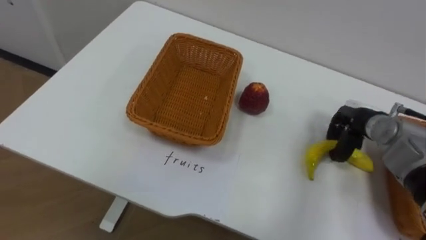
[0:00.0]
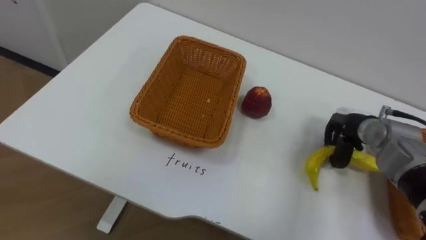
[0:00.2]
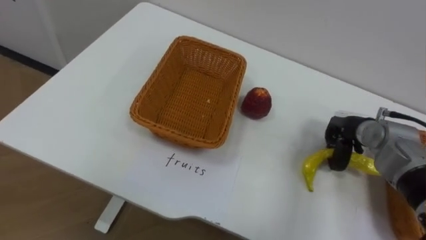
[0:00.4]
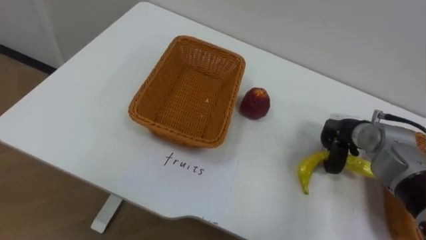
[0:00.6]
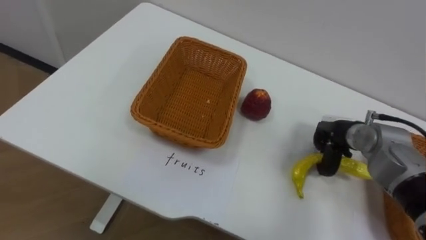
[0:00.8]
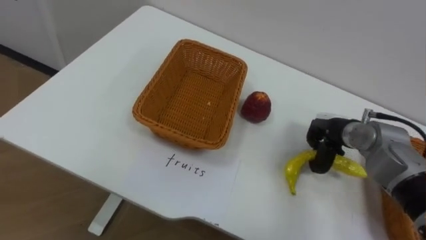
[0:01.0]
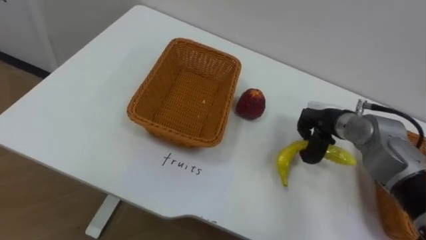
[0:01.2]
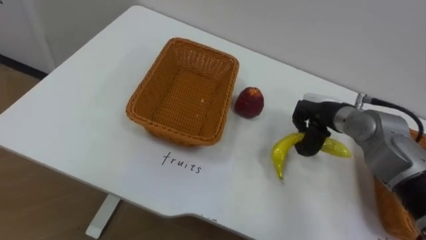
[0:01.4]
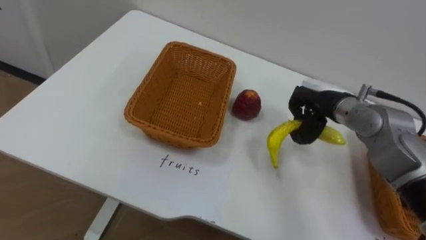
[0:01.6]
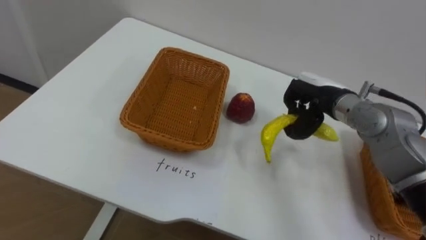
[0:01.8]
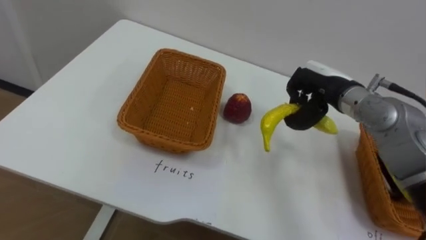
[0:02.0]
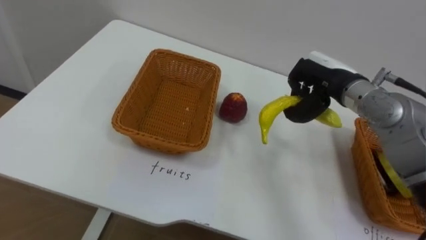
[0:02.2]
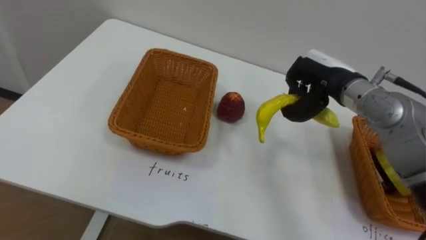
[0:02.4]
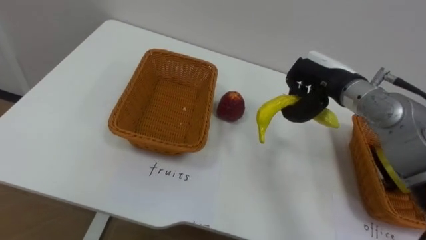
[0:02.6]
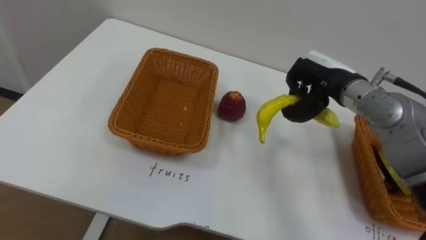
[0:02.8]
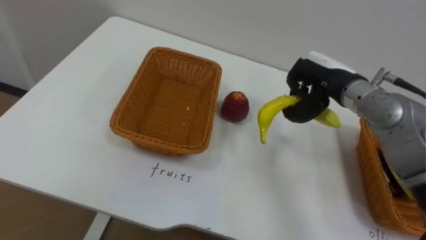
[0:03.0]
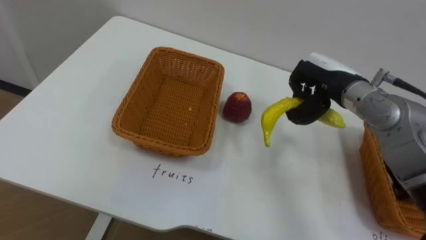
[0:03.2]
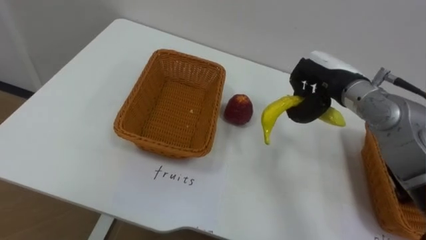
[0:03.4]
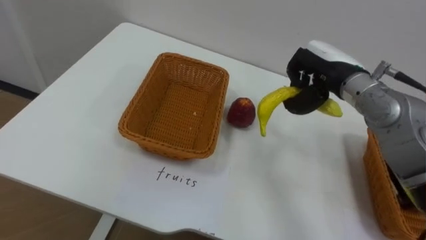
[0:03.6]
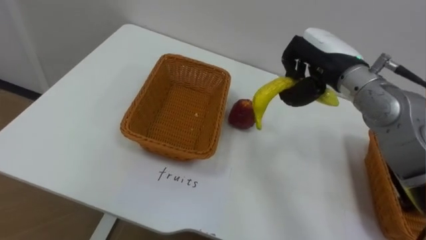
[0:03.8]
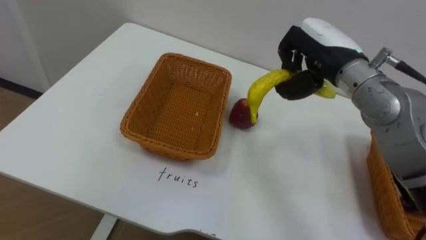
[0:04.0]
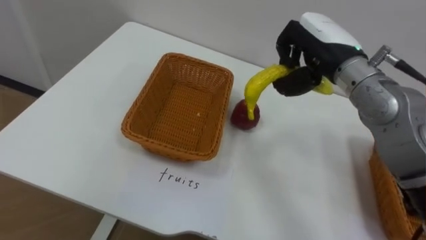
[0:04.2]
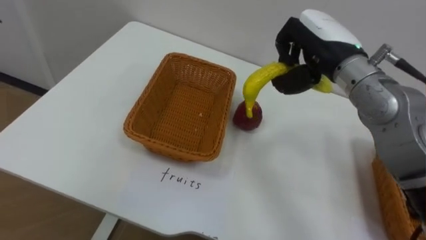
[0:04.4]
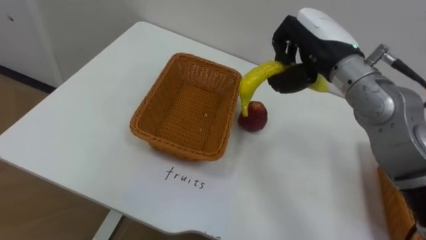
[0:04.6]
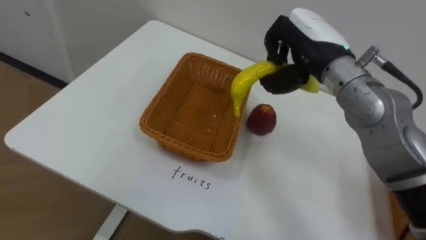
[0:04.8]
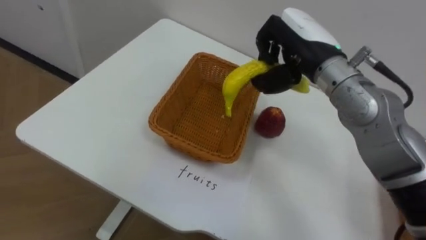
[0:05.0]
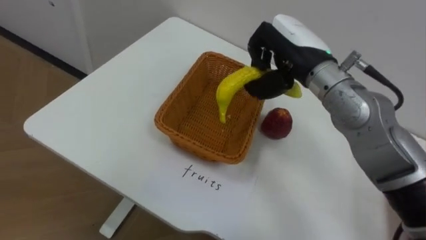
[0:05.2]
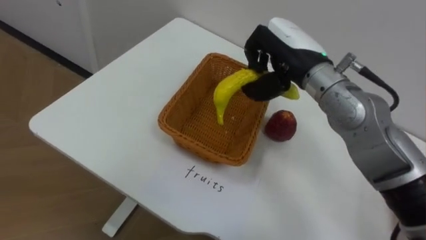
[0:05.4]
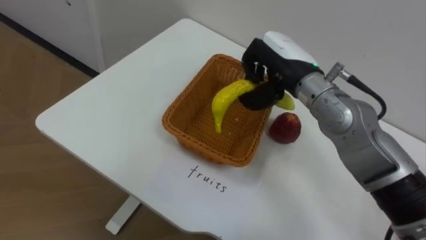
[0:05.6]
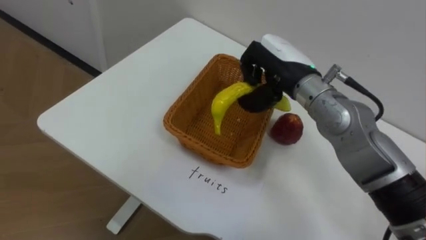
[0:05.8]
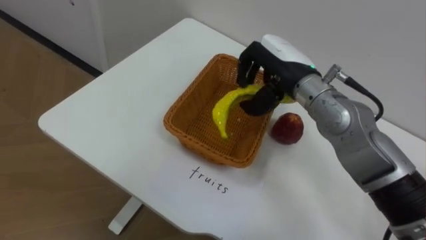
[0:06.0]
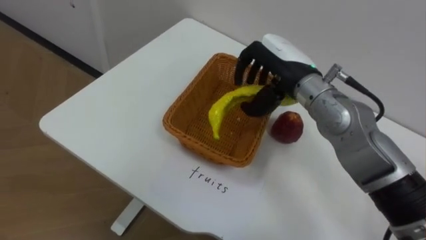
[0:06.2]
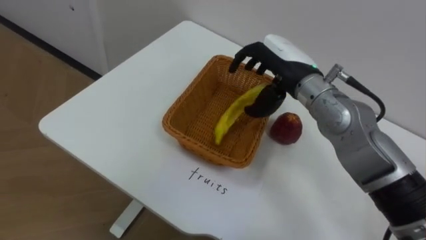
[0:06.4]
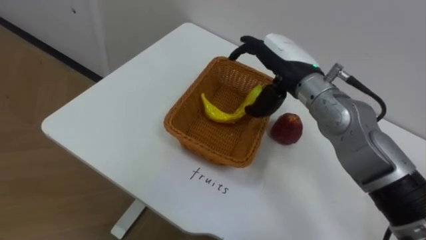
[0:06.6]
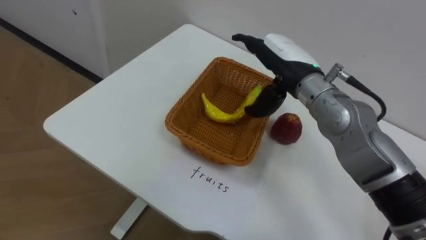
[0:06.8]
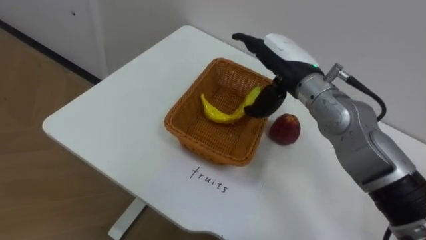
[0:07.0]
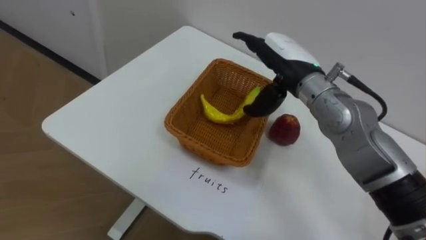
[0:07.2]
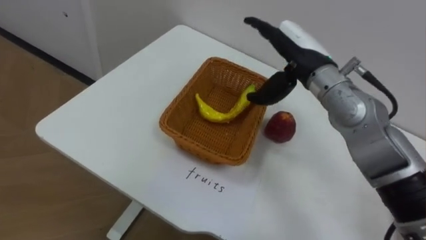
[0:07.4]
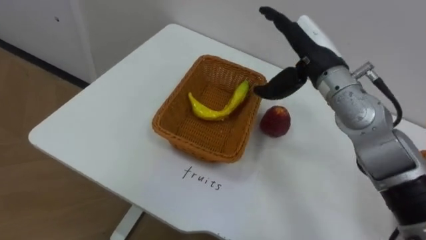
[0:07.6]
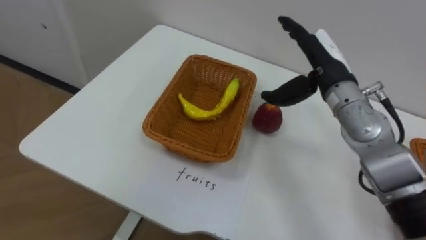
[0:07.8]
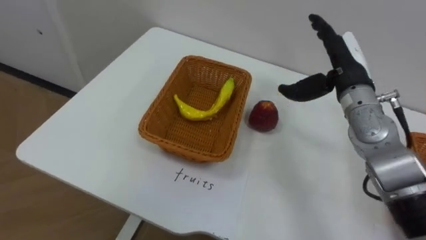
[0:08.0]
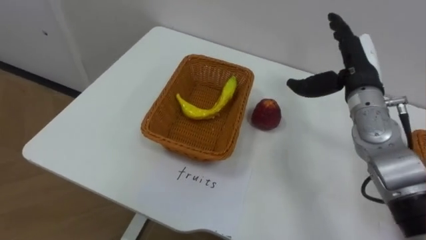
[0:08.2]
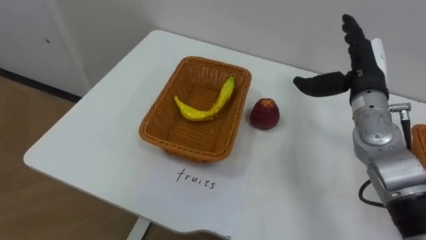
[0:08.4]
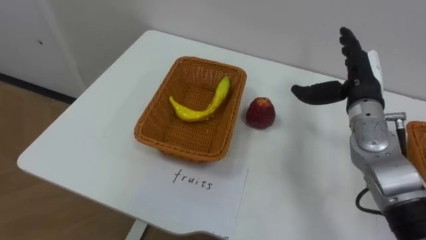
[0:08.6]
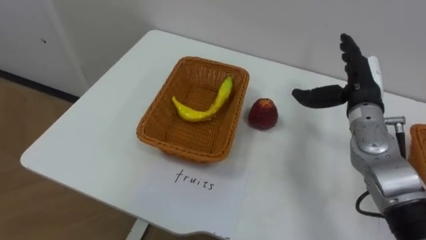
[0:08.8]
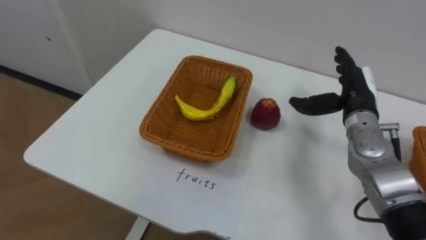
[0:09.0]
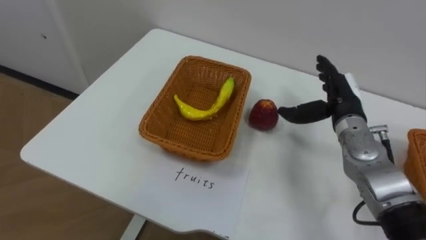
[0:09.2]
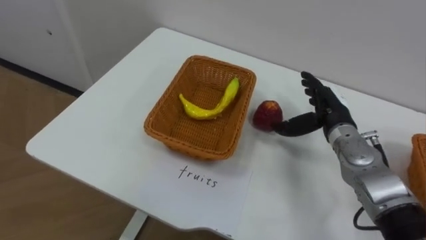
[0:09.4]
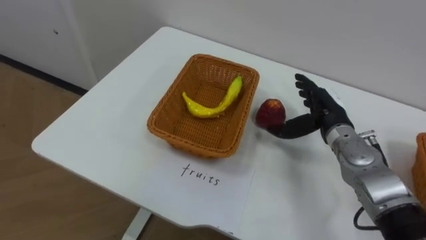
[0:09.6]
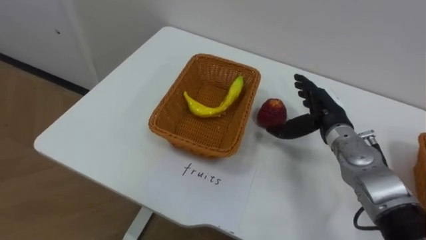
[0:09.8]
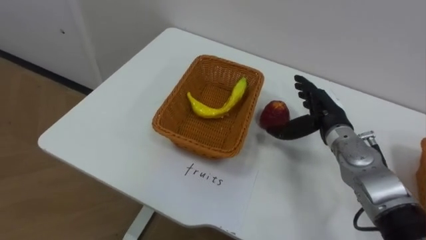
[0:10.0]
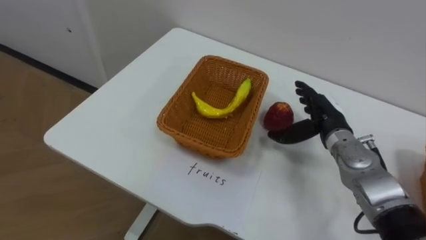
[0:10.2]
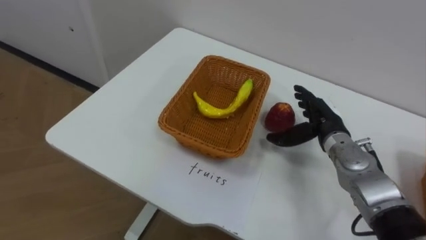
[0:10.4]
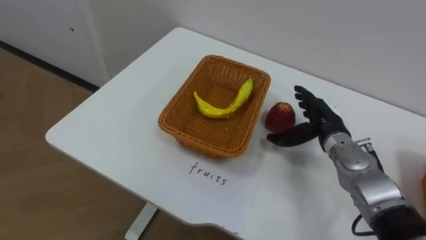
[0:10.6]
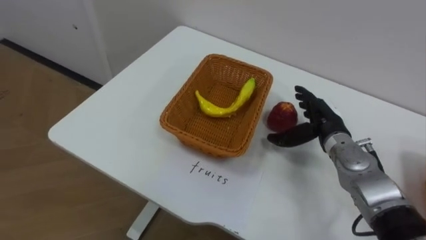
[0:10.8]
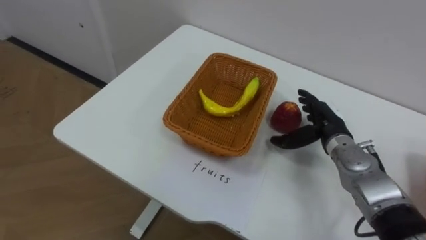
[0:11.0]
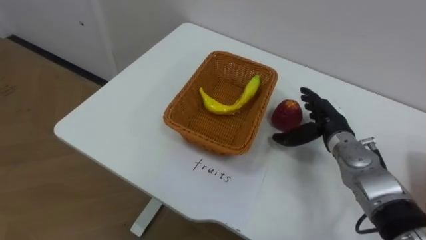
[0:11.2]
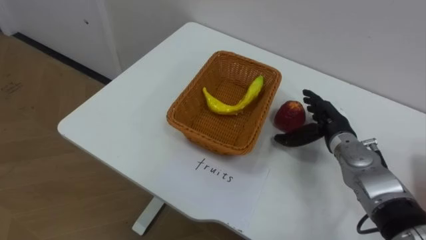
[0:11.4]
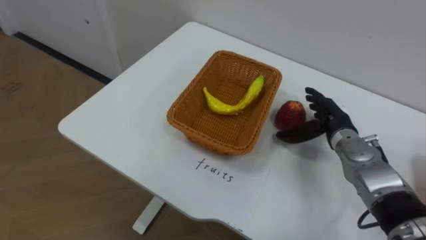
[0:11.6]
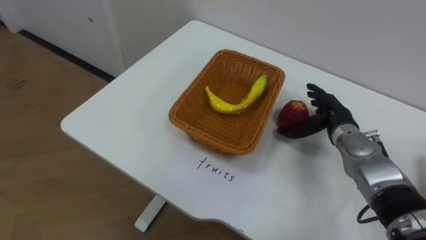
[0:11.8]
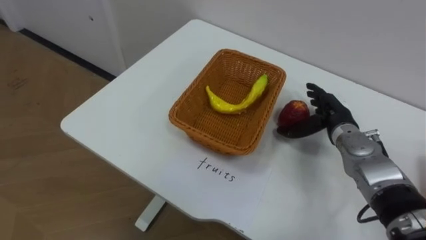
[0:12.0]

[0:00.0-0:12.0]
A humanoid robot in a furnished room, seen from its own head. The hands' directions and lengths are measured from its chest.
Task of the whole recording: Separate the items on the table and place them into the two baskets.
0:00.0 to 0:01.6: The right hand moves to the left and upward, roughly 10 cm.
0:01.6 to 0:03.0: The right hand goes approximately 5 cm upward.
0:03.0 to 0:04.4: The right hand heads upward, covering roughly 5 cm.
0:04.4 to 0:06.0: The right hand is displaced to the left by roughly 5 cm.
0:06.0 to 0:07.6: The right hand opens up.
0:07.6 to 0:09.0: The right hand is displaced to the right and downward by roughly 15 cm.
0:09.0 to 0:10.4: The right hand moves downward, about 5 cm.

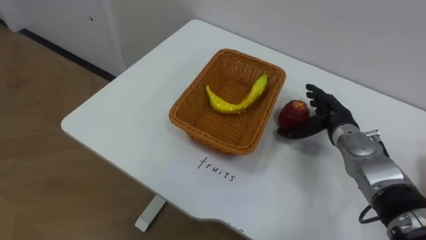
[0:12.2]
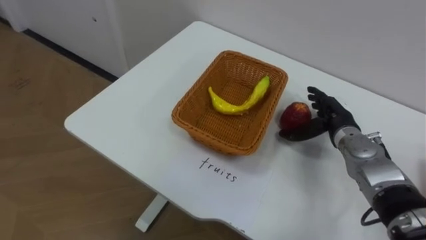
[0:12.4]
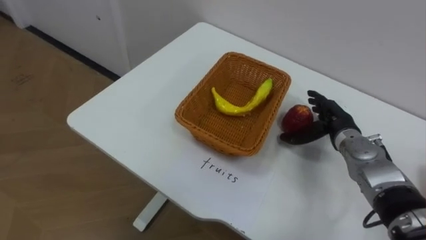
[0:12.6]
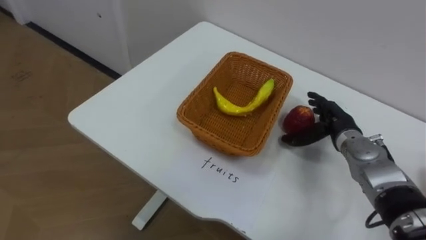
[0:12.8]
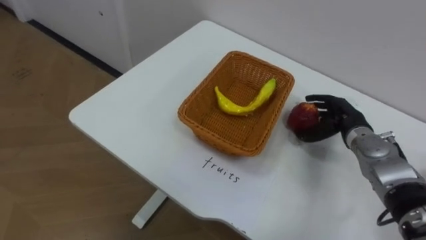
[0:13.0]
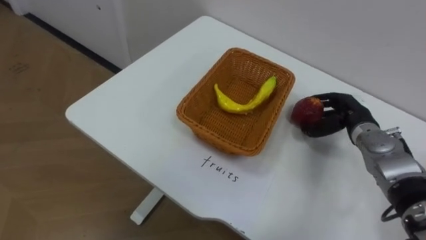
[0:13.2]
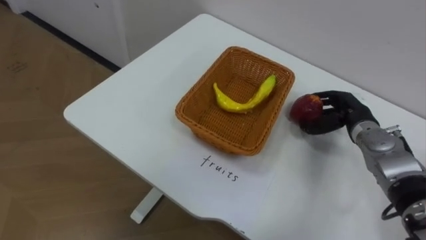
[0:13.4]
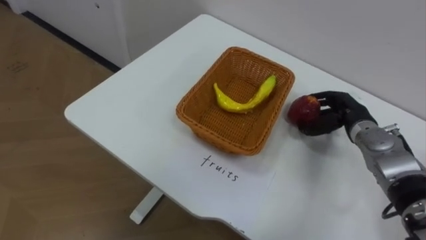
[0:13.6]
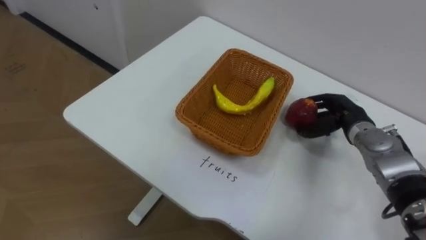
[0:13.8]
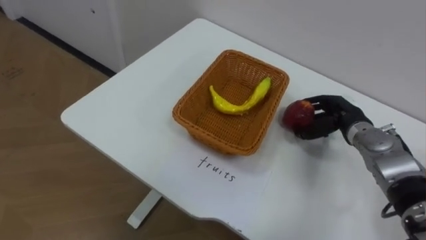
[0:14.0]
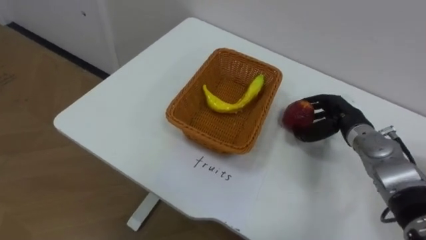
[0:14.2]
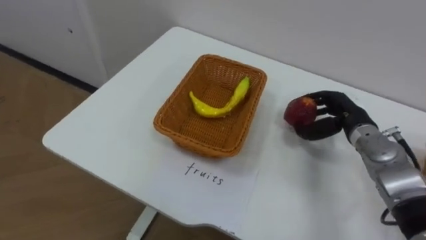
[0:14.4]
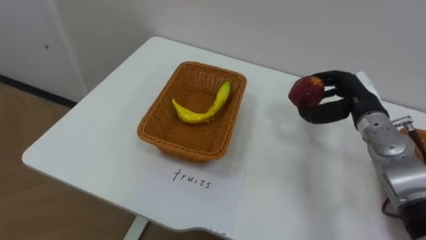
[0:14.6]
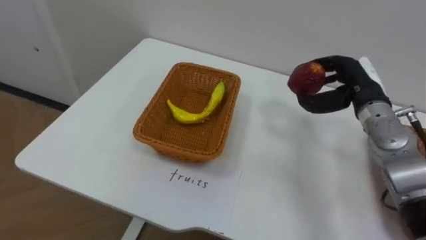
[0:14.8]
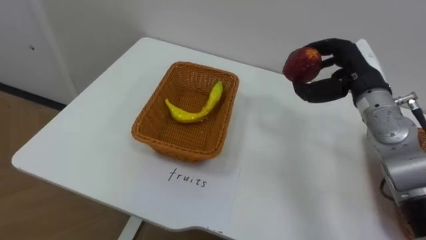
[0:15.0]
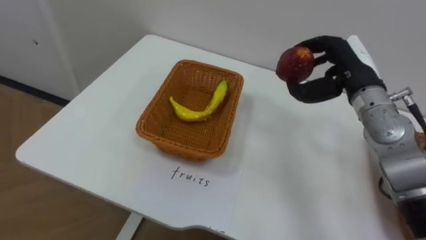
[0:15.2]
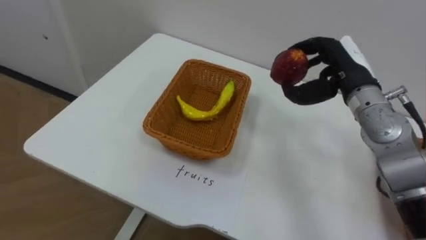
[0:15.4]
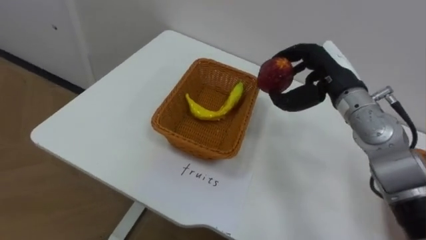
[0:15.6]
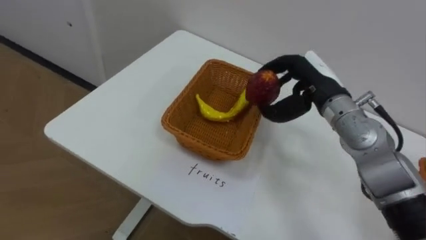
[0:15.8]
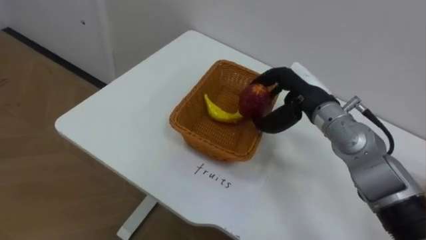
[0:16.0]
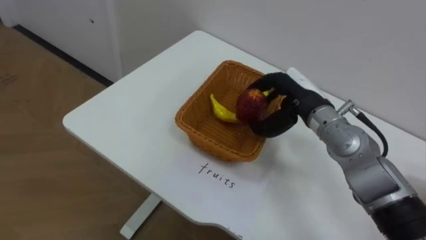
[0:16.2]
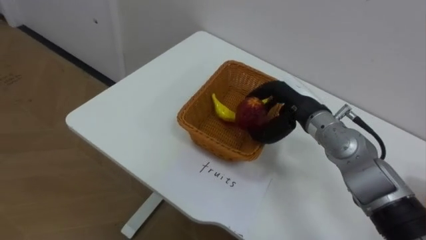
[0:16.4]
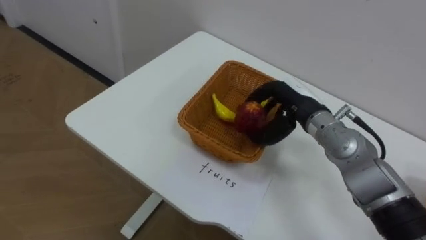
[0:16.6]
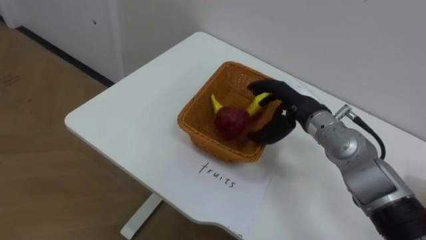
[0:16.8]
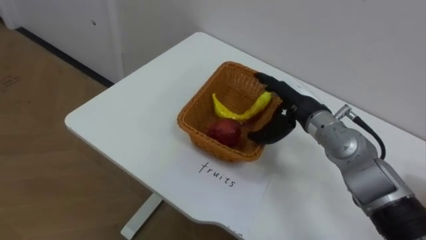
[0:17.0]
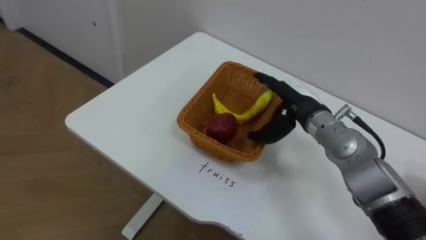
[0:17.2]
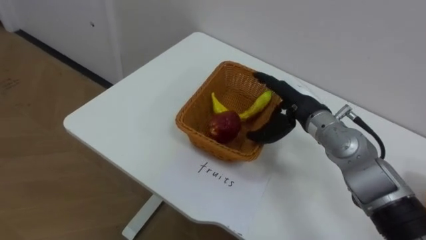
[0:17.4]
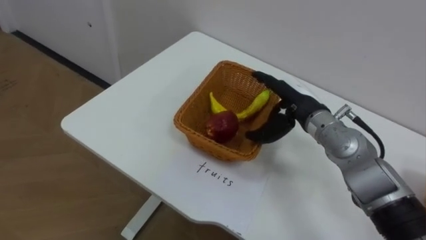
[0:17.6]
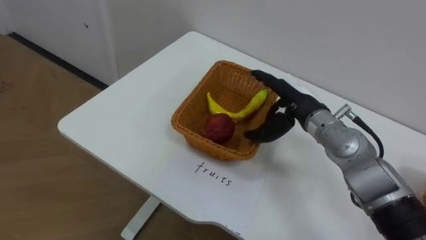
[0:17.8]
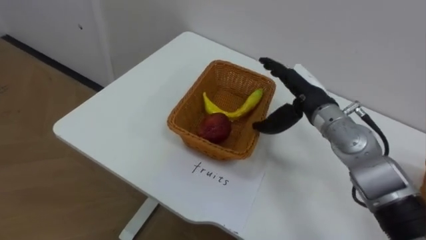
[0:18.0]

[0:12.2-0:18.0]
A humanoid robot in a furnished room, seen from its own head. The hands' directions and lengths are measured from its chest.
Task of the whole recording: Separate the items on the table and place them into the two baskets.
0:12.2 to 0:13.6: The right hand closes its fingers.
0:13.6 to 0:15.0: The right hand is displaced upward by some 10 cm.
0:15.0 to 0:16.6: The right hand shifts some 10 cm to the left and downward.
0:16.6 to 0:18.0: The right hand opens.
